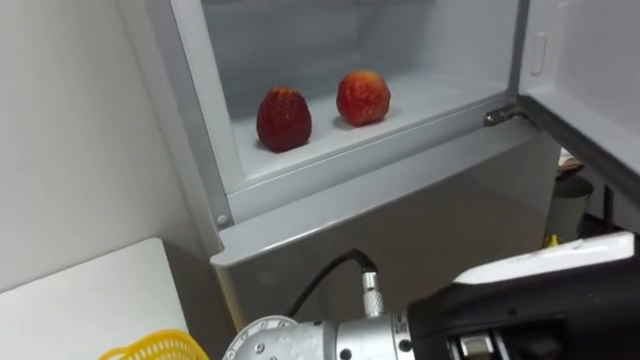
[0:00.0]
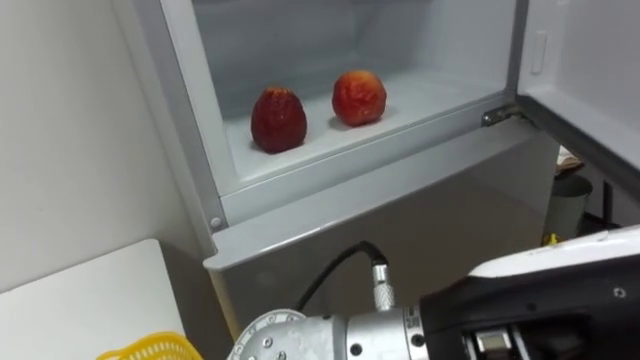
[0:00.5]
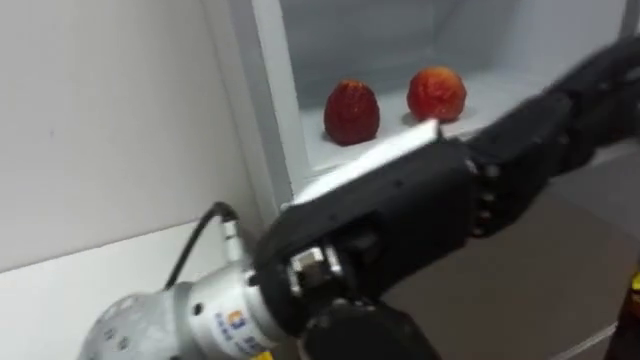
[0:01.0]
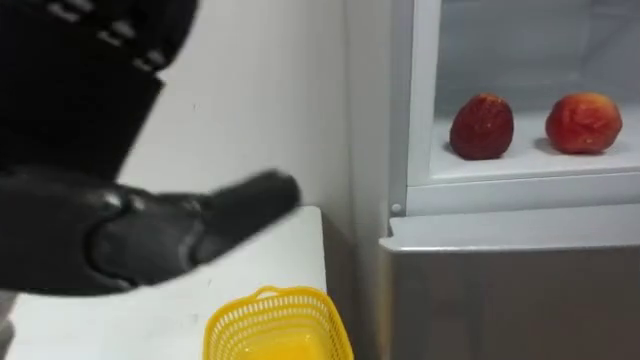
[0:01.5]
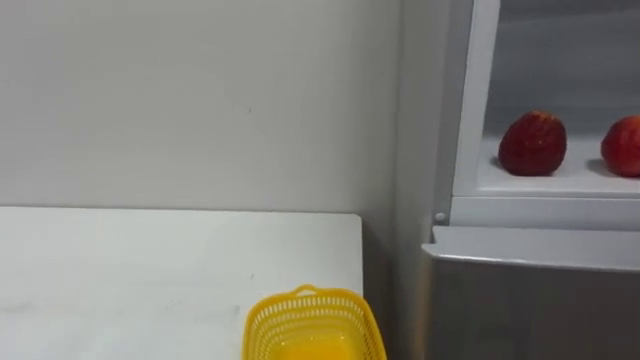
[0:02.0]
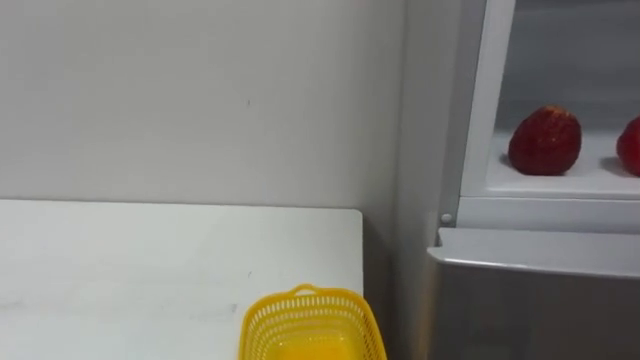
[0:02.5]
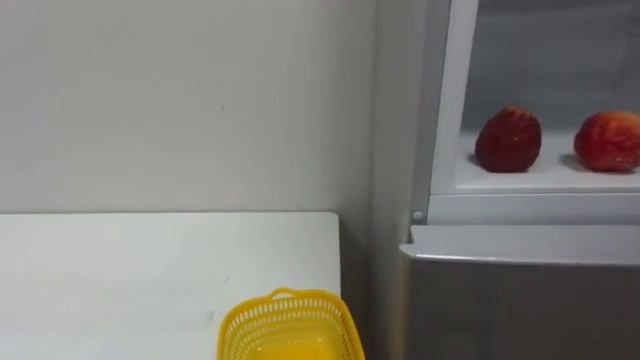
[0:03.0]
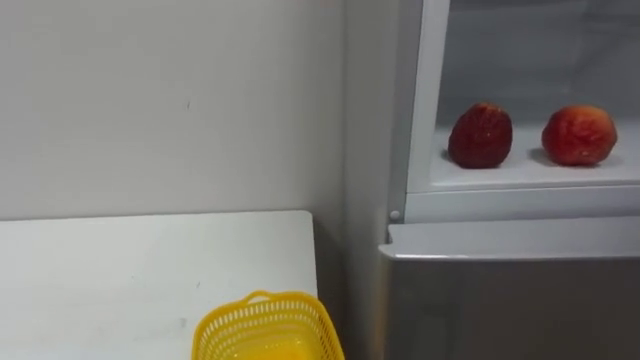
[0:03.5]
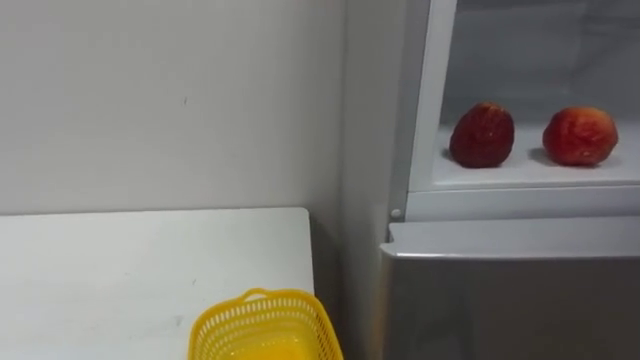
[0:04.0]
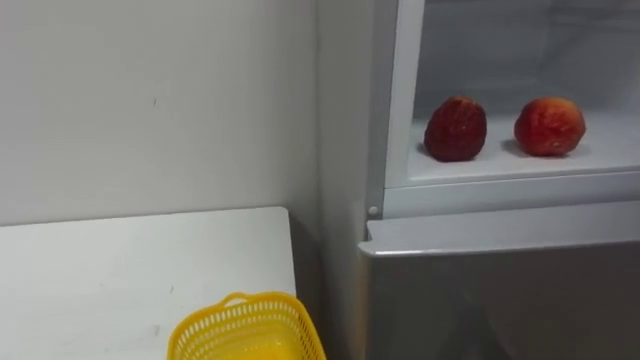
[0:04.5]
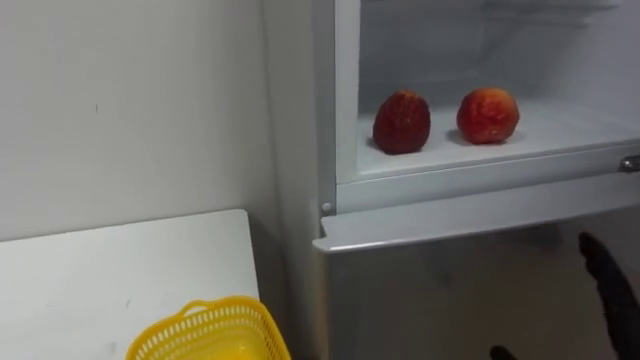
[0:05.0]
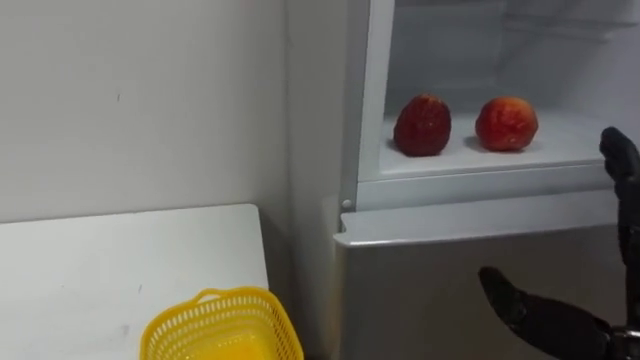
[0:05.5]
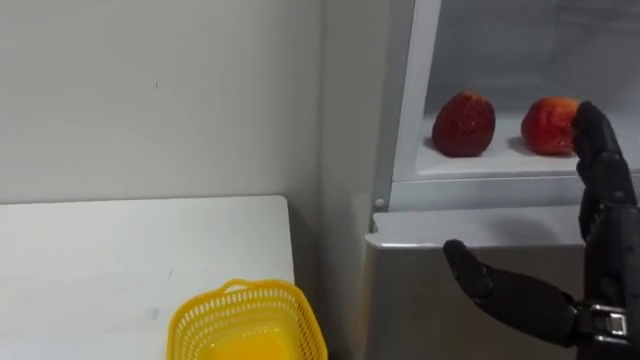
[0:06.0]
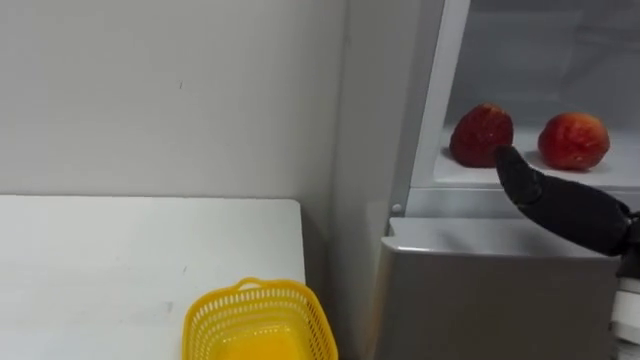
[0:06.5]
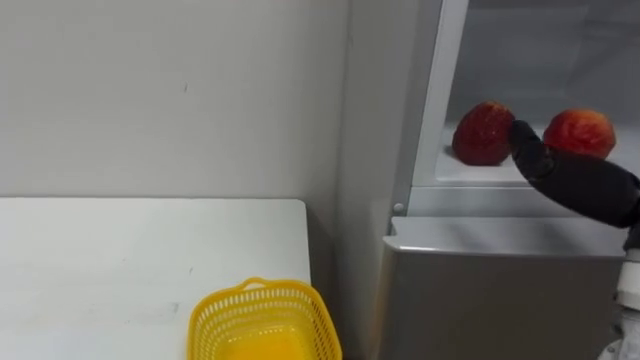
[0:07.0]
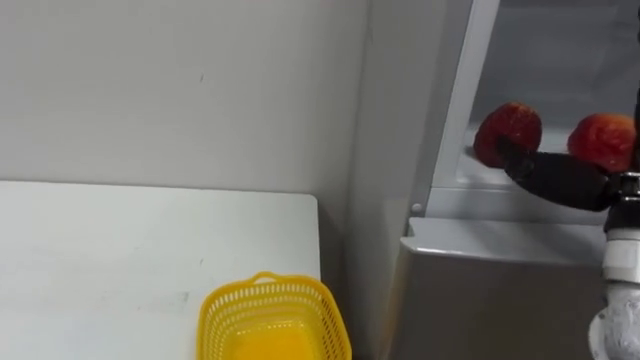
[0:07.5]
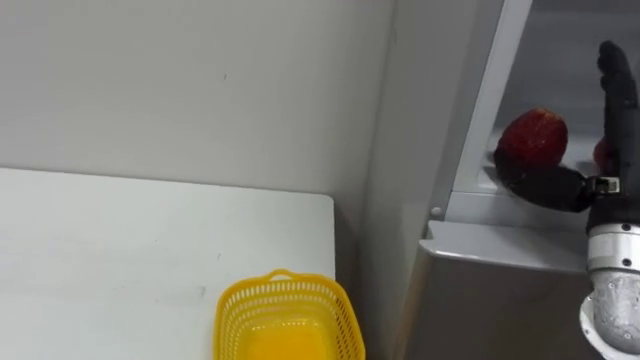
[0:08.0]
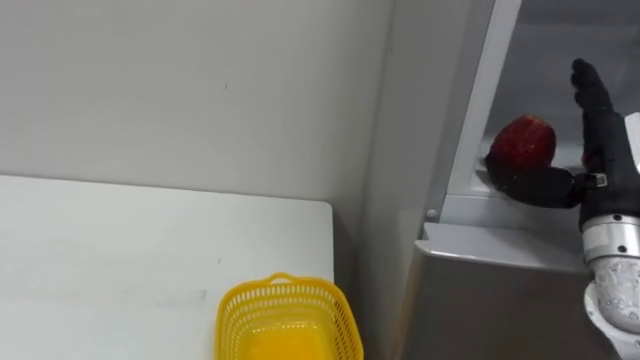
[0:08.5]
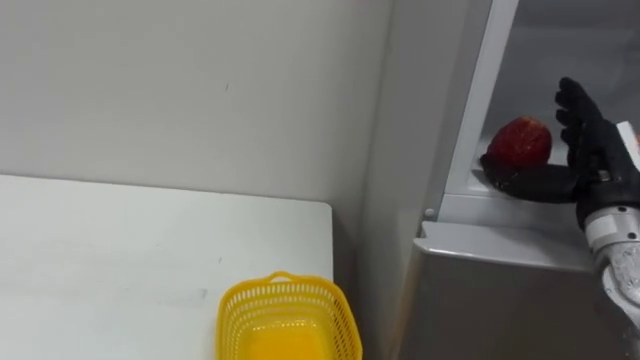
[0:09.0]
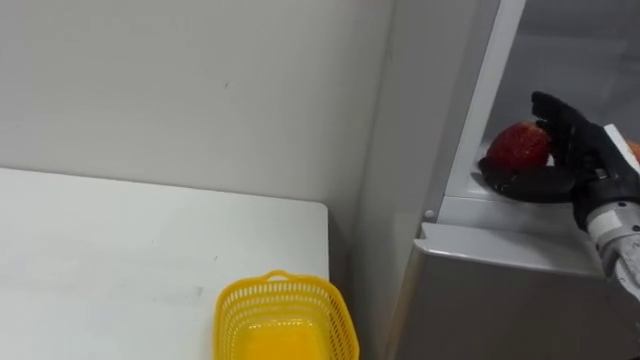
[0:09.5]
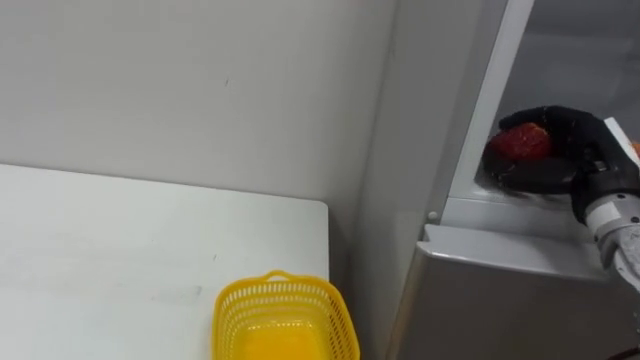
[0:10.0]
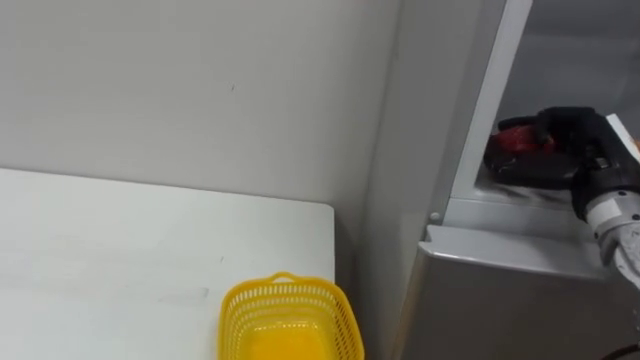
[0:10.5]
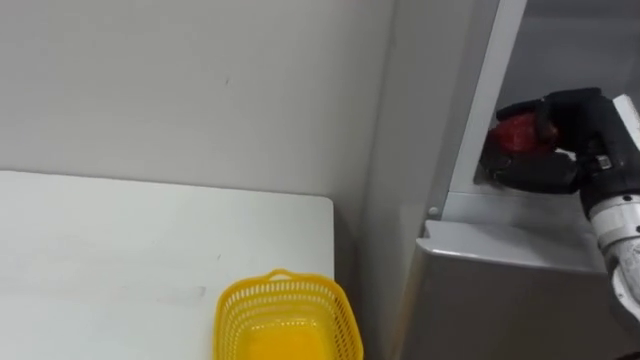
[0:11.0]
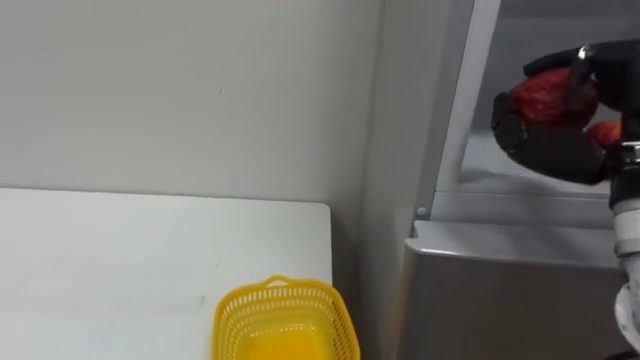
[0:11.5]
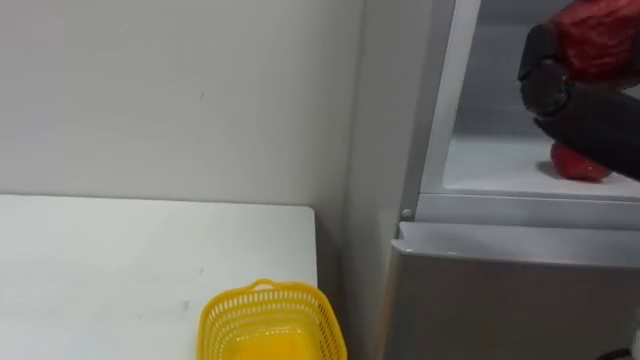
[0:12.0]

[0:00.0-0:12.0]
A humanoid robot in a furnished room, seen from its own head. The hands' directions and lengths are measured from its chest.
Task of the whole recording: Open the refrigerator door, take out the apple and the pomegranate, place them in the fruit basket on the left, and close the refrigerator door.
0:08.0 to 0:10.0: The right hand moves forward, some 5 cm, and closes.

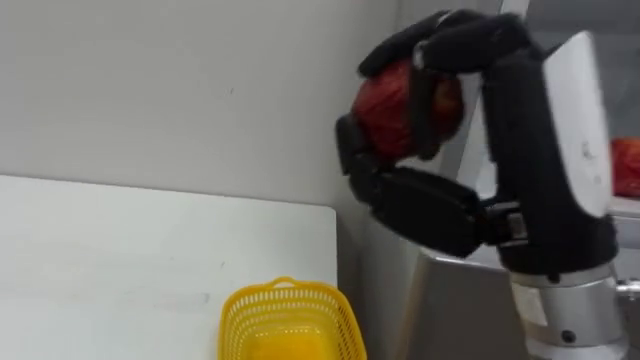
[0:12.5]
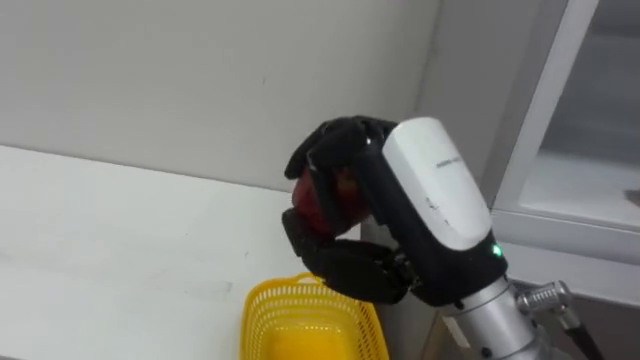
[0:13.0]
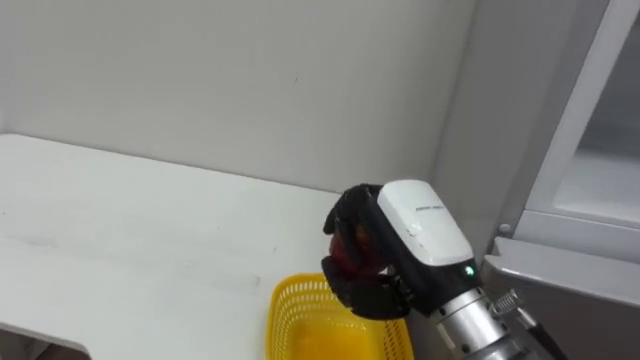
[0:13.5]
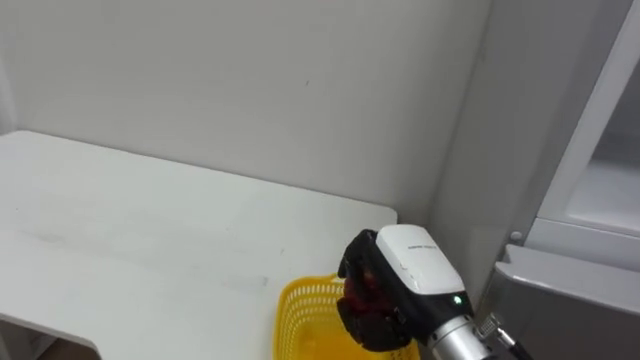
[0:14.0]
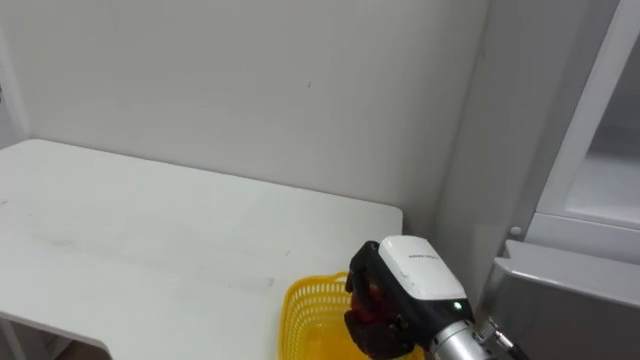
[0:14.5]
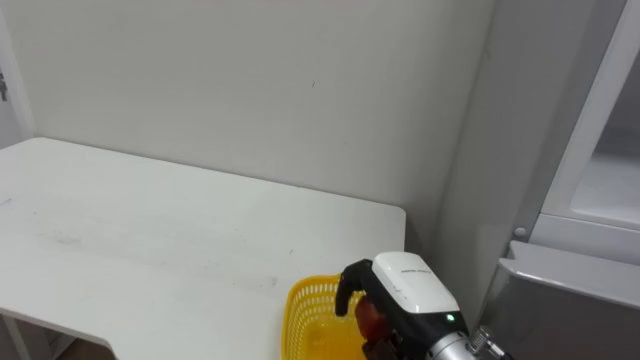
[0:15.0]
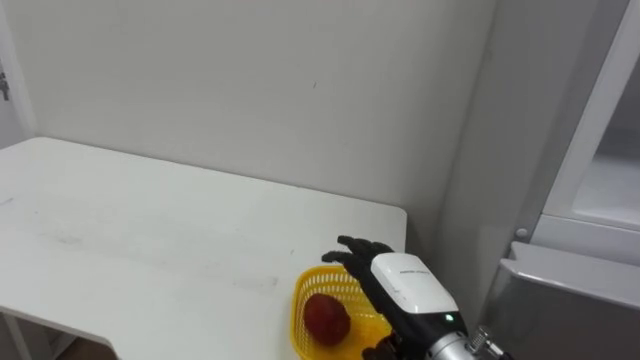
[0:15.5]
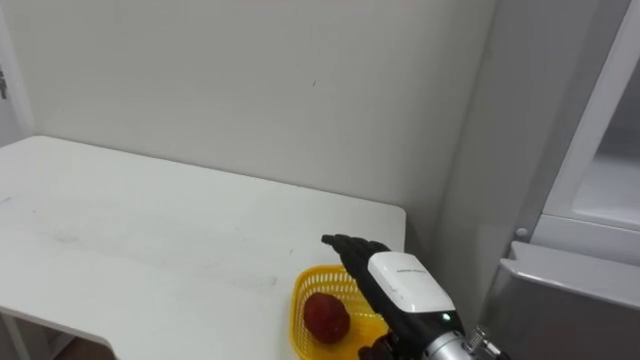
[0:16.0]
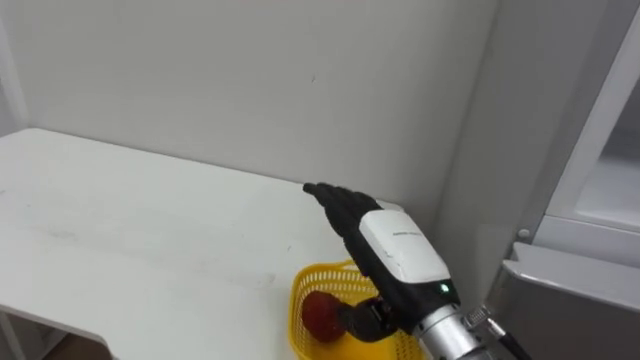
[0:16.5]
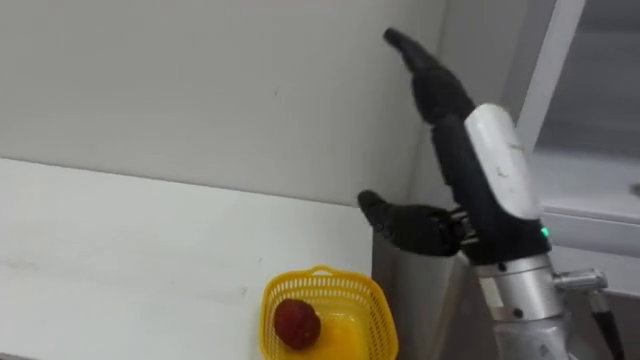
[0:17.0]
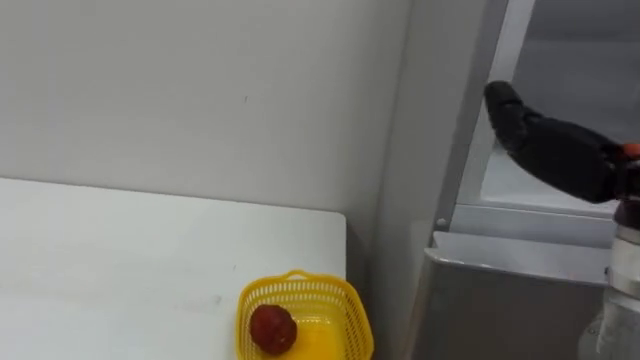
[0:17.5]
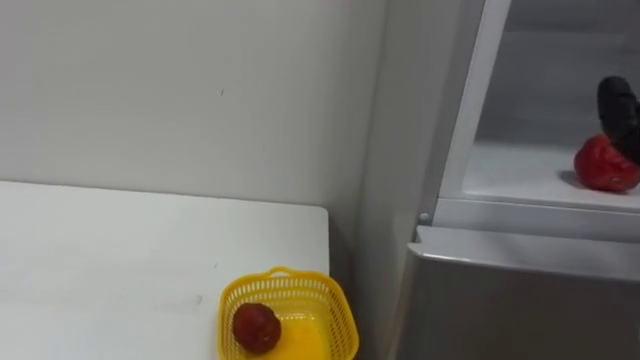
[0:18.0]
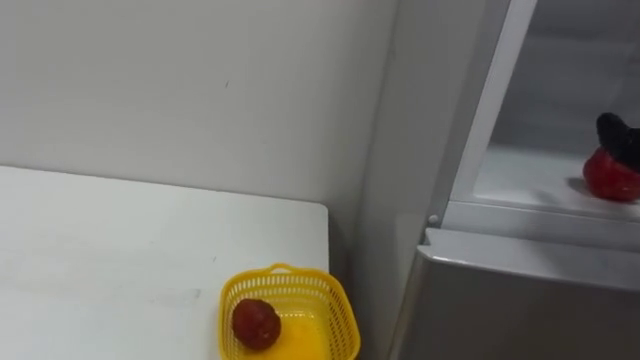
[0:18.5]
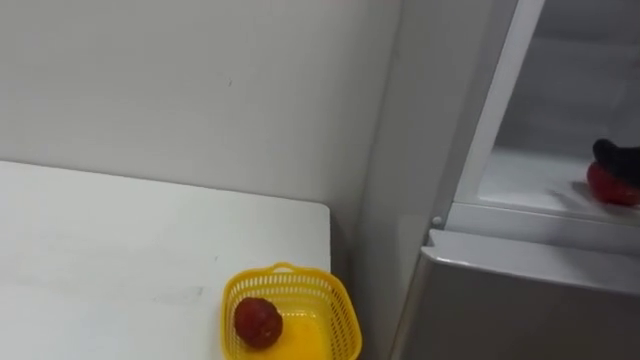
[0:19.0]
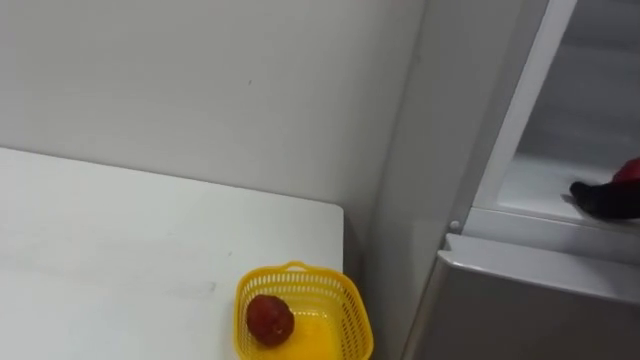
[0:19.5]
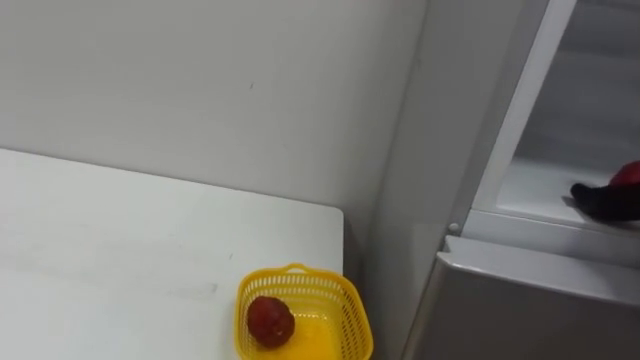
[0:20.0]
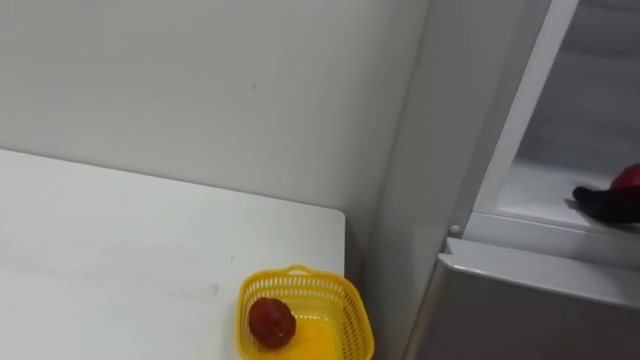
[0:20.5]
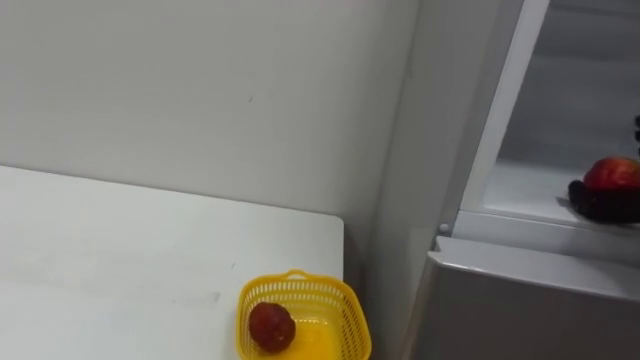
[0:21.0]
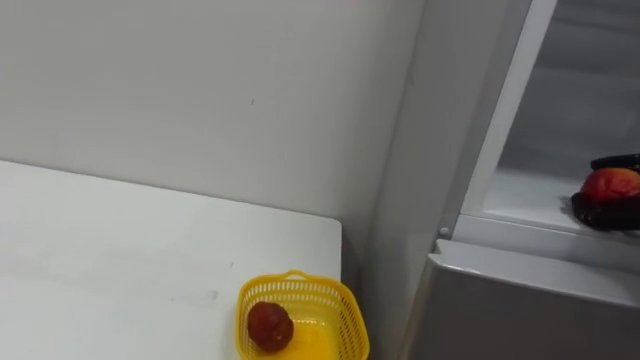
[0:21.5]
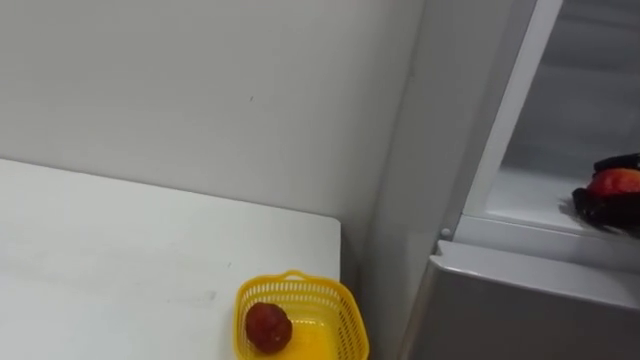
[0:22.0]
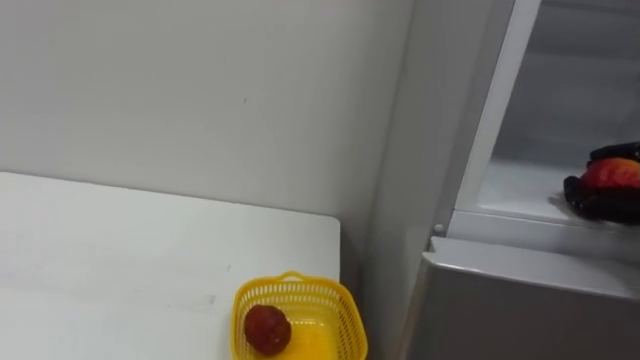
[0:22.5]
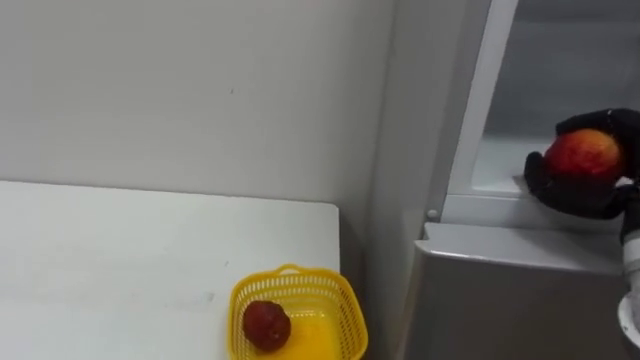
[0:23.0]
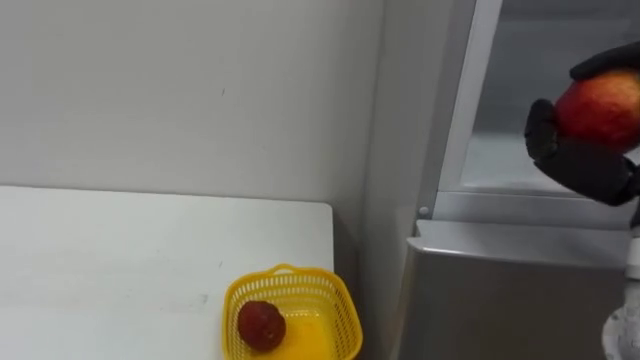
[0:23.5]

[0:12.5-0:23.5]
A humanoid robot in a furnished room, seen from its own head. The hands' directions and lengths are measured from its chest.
Task of the whole recording: Open the refrigerator door, take out the apple and the pomegranate, place them in the fruit basket on the left, and close the refrigerator door.
0:12.5 to 0:14.5: The right hand shifts some 25 cm downward and forward.
0:14.5 to 0:16.0: The right hand opens.
